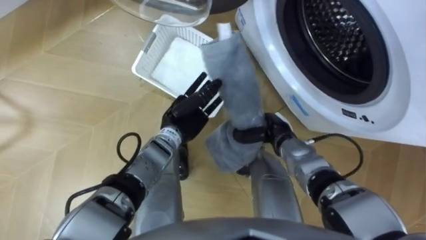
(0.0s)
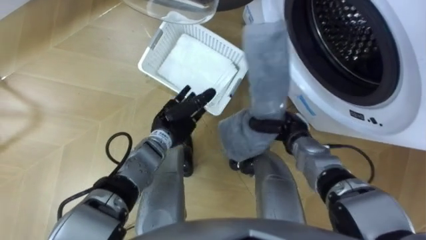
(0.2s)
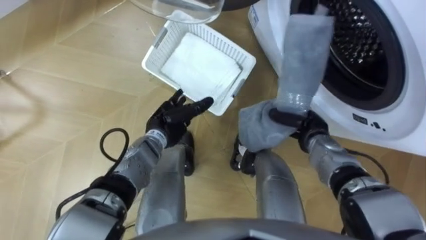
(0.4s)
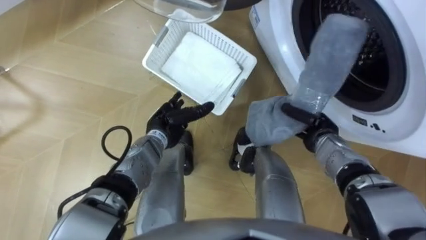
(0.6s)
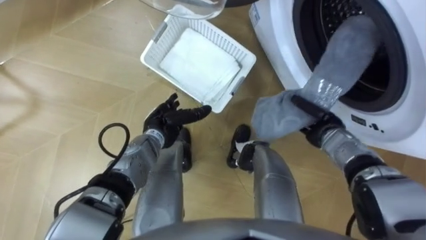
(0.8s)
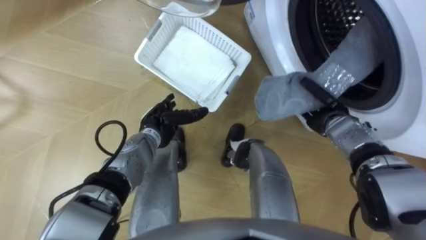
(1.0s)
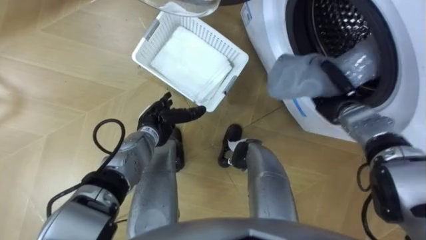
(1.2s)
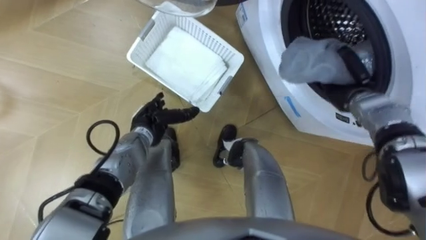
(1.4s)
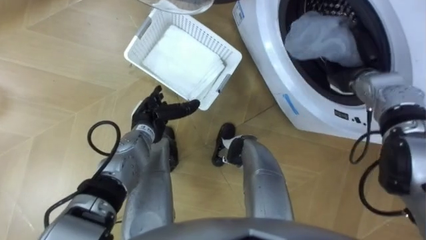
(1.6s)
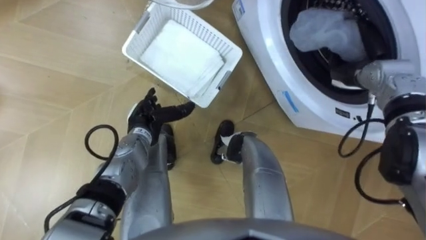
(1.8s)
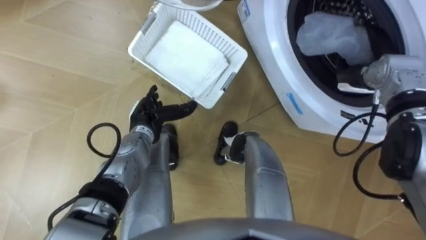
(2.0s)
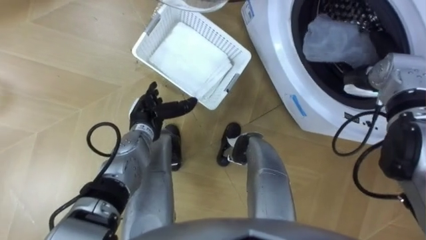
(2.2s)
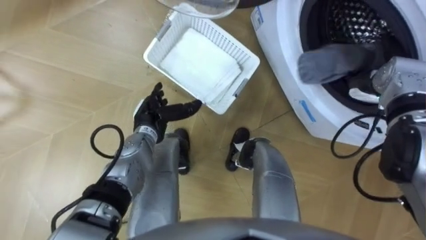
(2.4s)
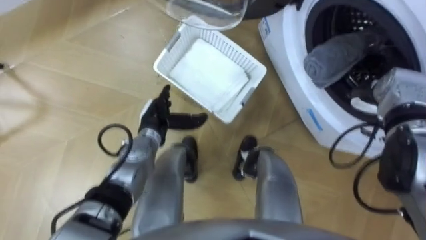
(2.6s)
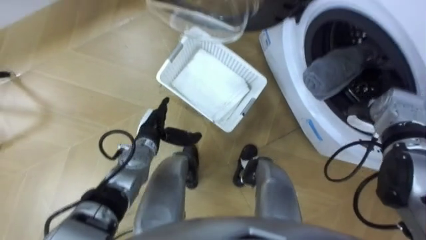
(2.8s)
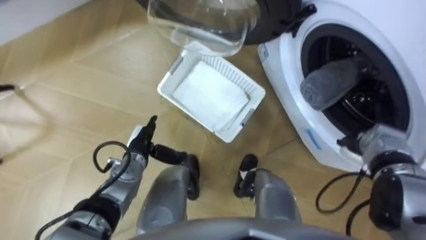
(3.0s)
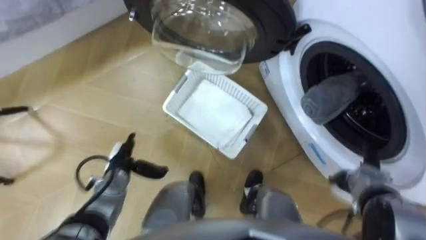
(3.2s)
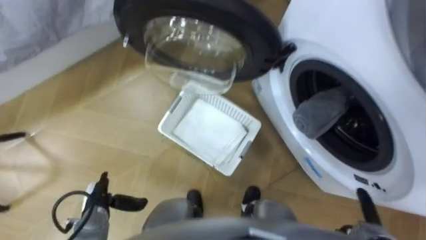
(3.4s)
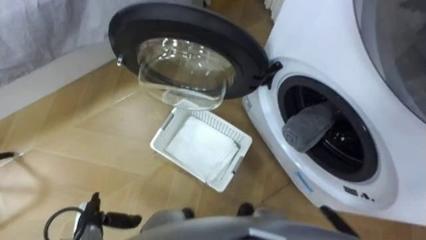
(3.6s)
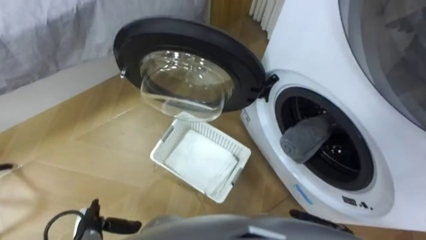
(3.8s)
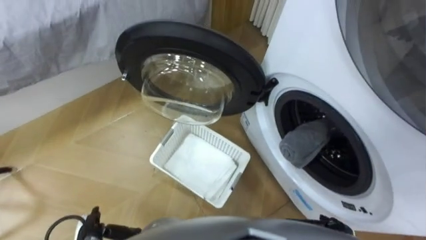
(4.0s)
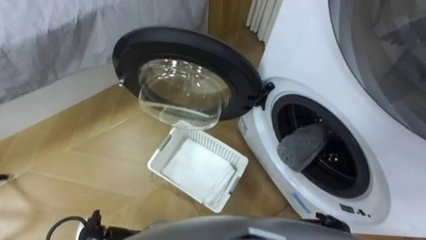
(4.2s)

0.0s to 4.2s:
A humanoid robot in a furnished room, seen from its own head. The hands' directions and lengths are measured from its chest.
Task of the whole recording: Take the towel from the basket and put it into the washing machine.
0.0s to 1.4s: The left hand travels to the left by approximately 10 cm; the right hand is displaced to the right, forward and upward by roughly 20 cm.
1.4s to 2.8s: The right hand heads backward, covering about 5 cm, and opens its fingers.
2.8s to 4.2s: The left hand heads backward and to the left, covering approximately 25 cm.

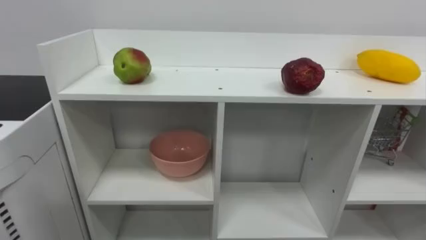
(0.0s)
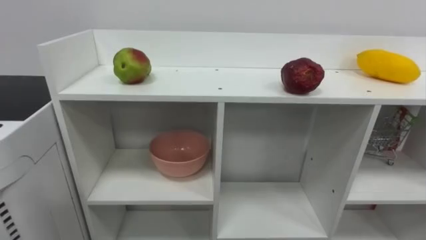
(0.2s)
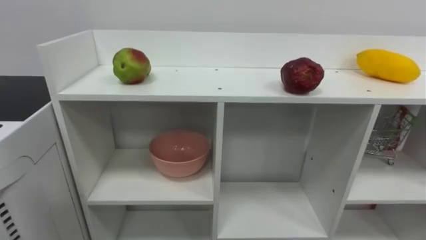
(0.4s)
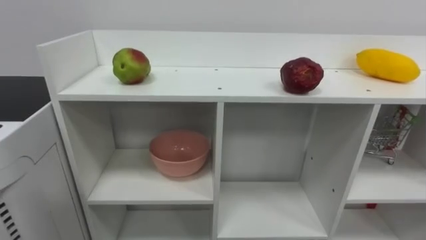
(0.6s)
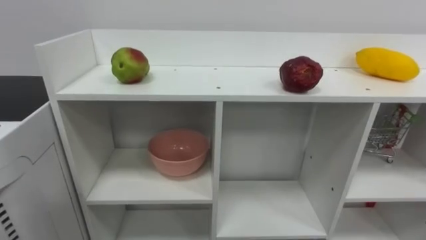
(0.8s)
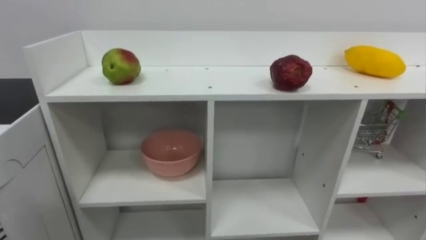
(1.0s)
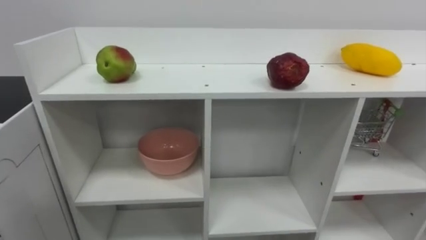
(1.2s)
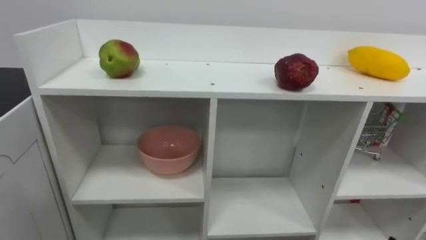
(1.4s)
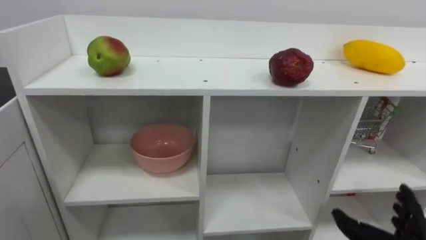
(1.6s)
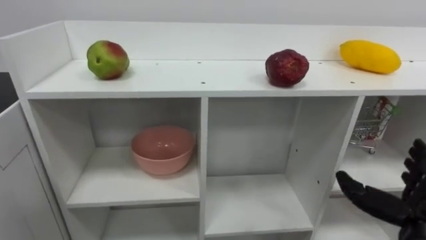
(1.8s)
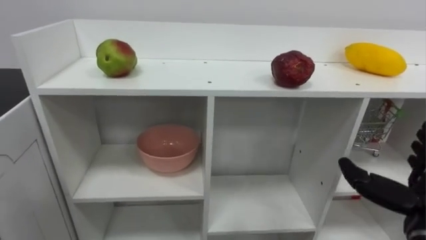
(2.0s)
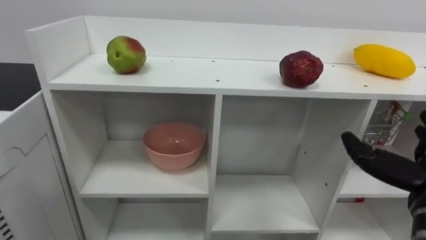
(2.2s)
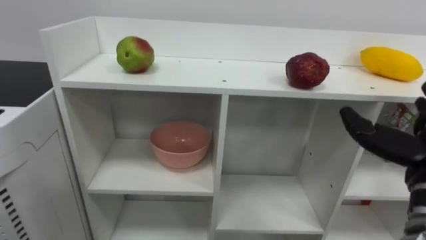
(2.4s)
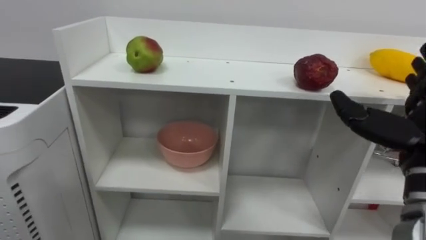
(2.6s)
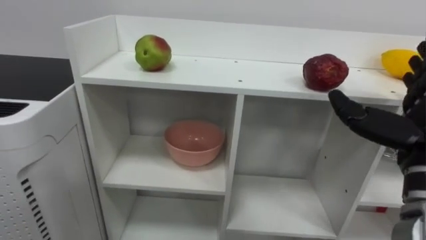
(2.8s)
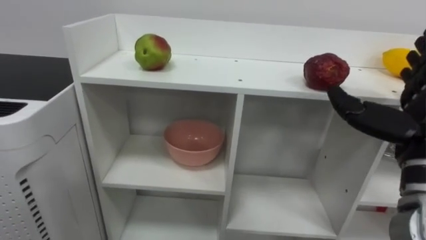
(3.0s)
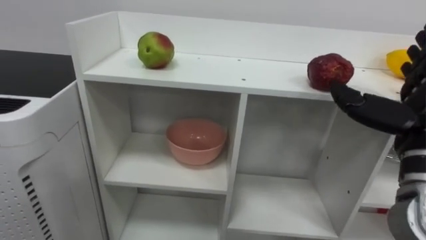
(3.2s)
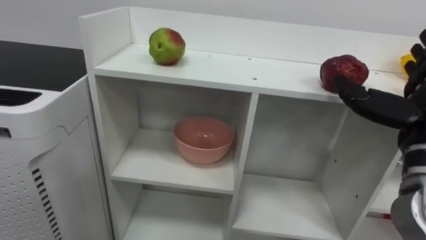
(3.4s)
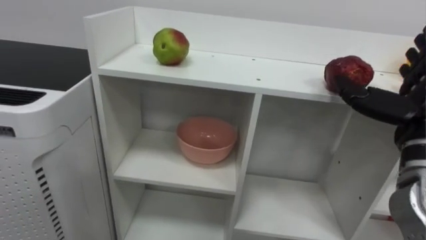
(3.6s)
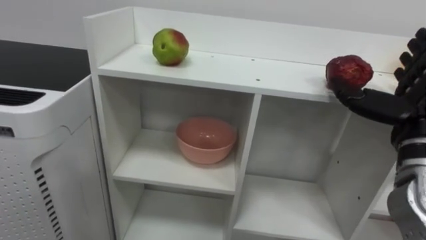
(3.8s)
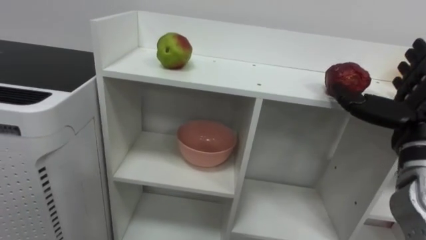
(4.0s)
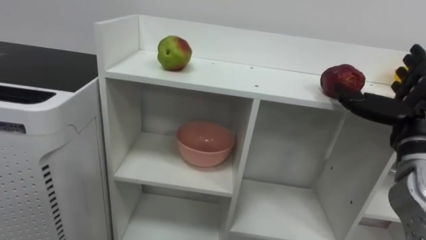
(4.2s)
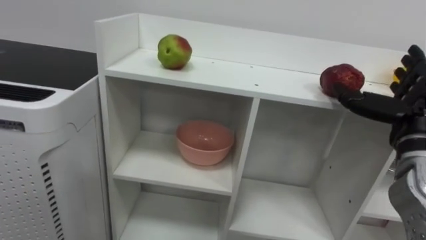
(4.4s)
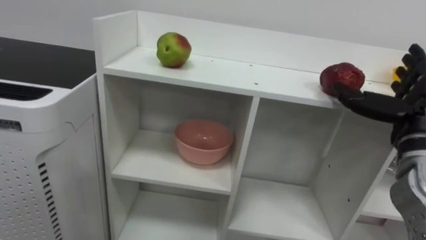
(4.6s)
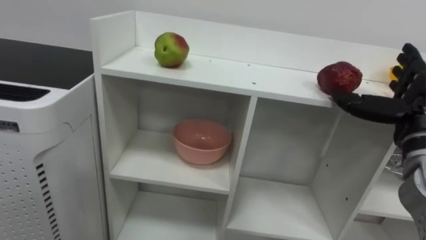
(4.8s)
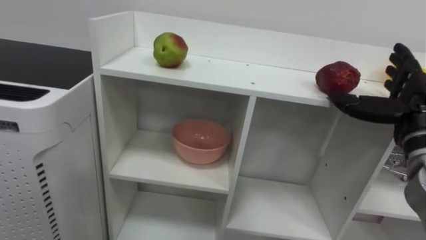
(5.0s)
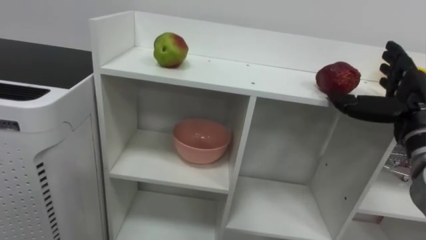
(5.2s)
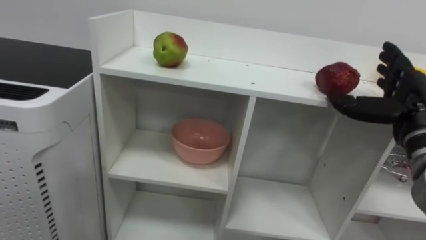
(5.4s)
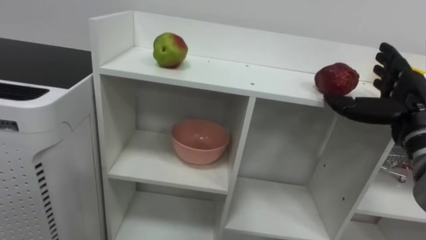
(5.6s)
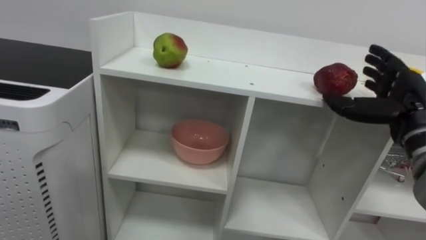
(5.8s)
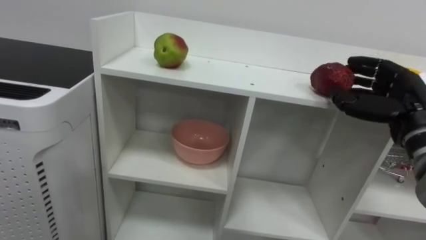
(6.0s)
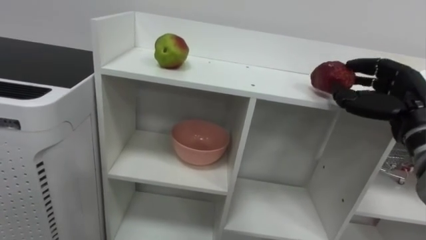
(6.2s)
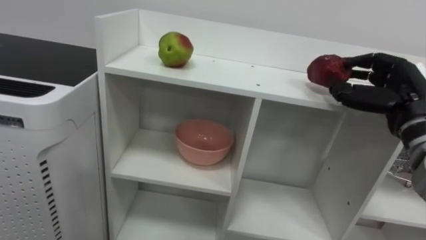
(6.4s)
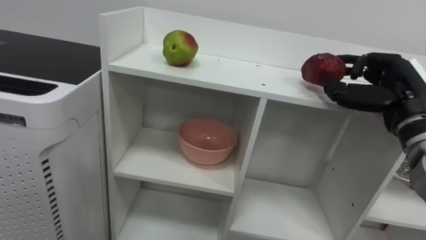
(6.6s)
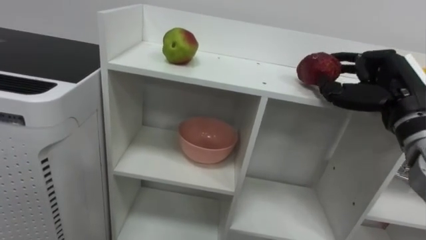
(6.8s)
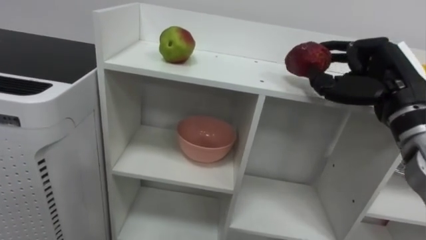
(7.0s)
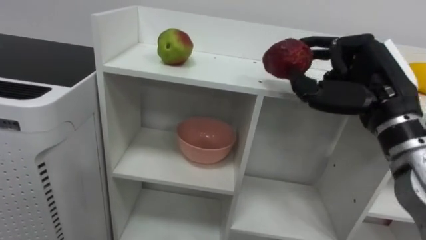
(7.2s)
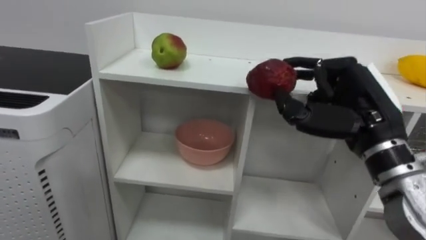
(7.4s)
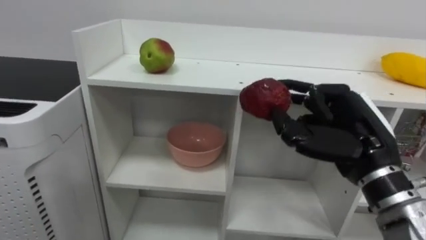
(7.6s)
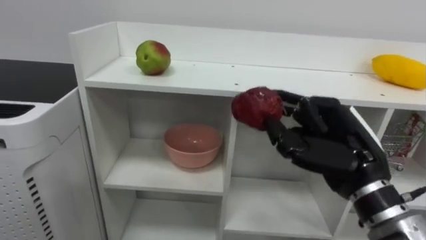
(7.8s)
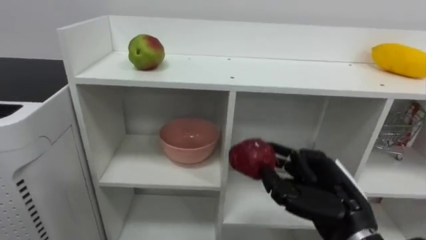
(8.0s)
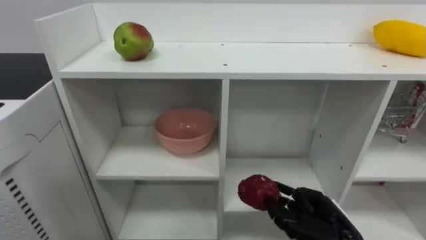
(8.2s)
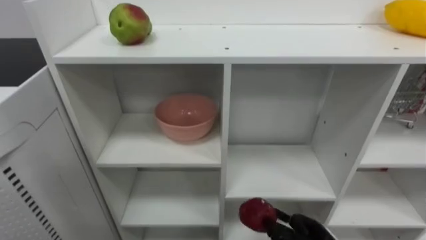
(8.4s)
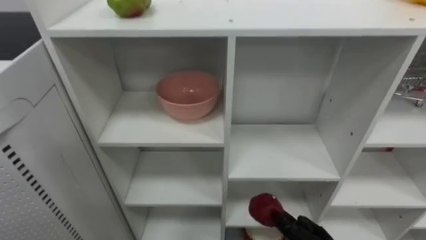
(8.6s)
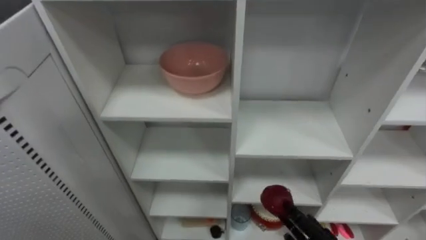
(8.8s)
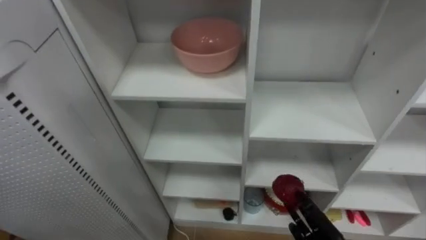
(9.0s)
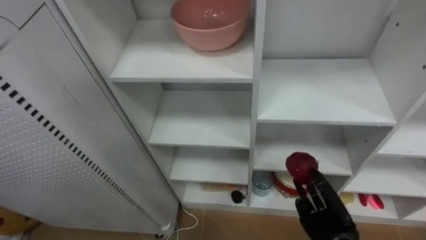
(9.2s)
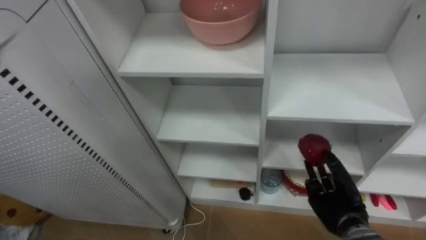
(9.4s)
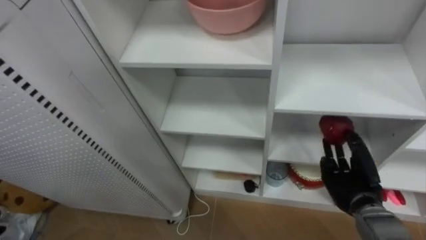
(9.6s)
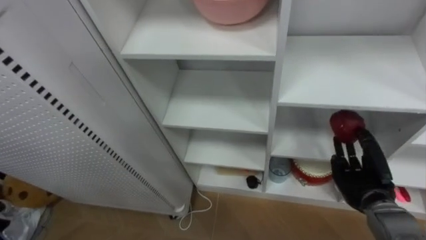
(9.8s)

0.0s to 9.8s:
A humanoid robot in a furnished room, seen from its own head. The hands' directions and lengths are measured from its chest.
Task of the whole recording: Put the apple in the cell in the second column from the left and the second row from the top.
2.8s to 4.2s: The right hand goes roughly 5 cm forward.
5.6s to 7.0s: The right hand moves roughly 5 cm, and closes its fingers.

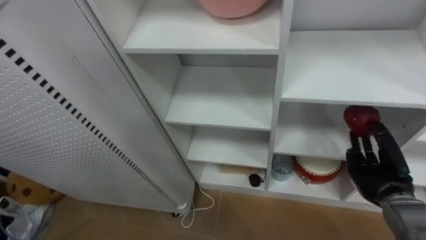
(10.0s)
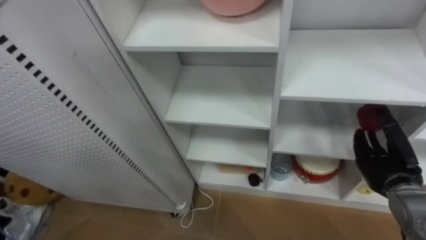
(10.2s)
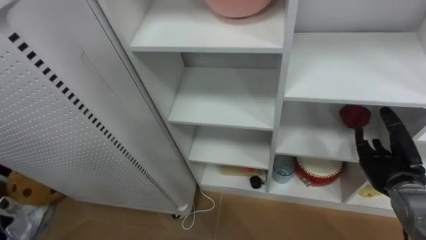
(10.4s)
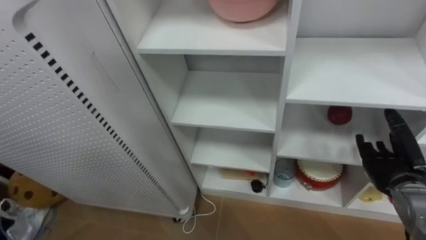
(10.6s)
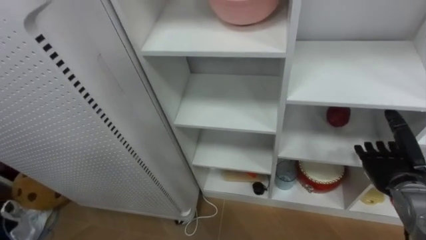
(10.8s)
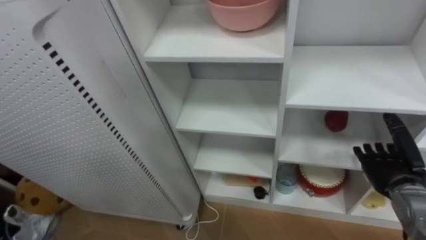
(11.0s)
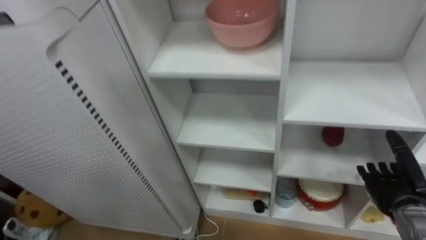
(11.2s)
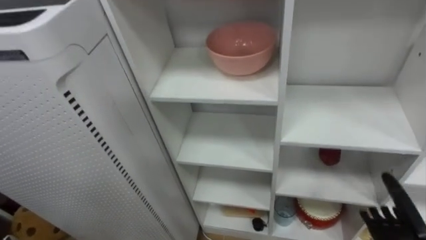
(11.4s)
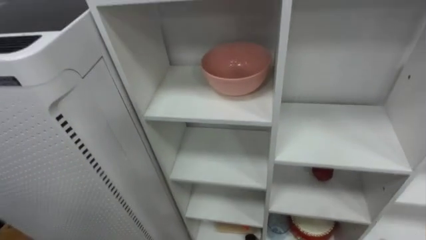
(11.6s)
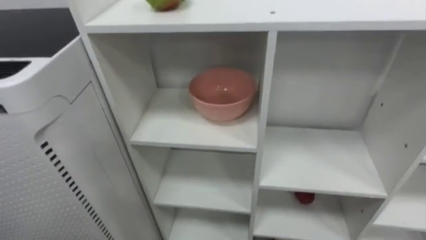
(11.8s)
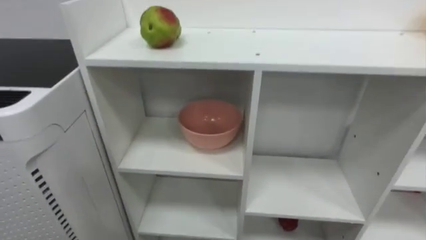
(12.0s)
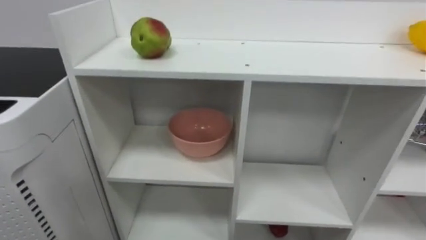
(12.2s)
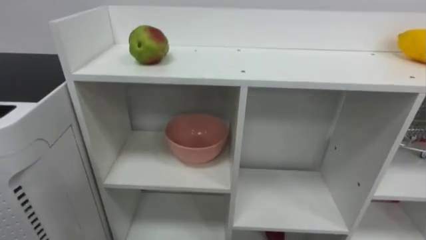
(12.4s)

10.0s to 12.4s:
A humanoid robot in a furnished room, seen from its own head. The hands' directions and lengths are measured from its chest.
Task of the whole recording: Put the apple in the cell in the second column from the left and the second row from the top.
10.0s to 11.2s: The right hand opens its fingers.
